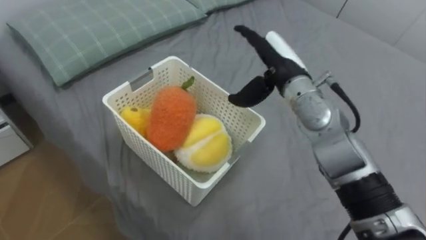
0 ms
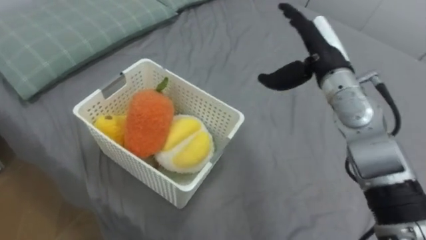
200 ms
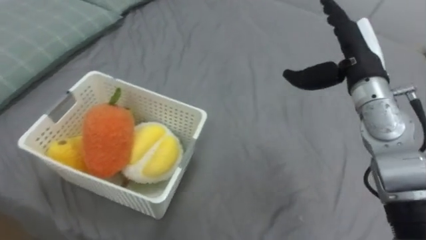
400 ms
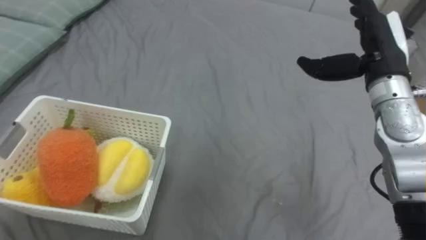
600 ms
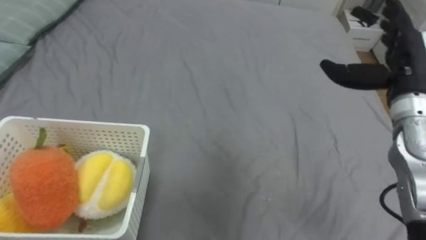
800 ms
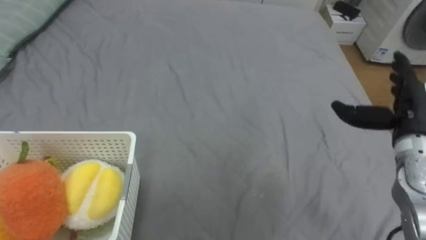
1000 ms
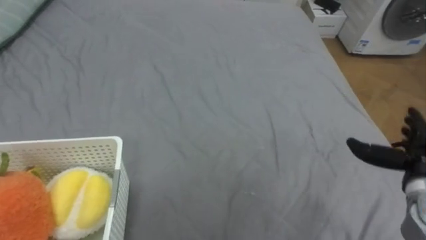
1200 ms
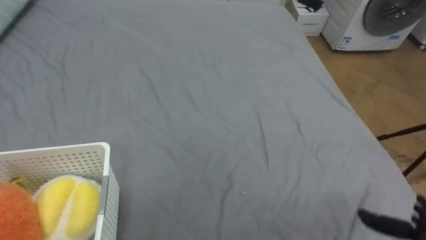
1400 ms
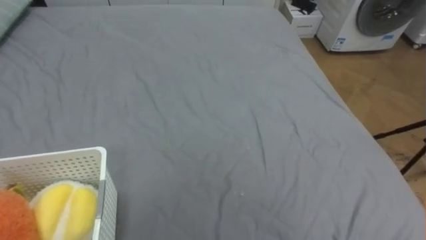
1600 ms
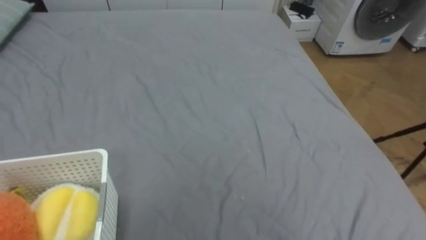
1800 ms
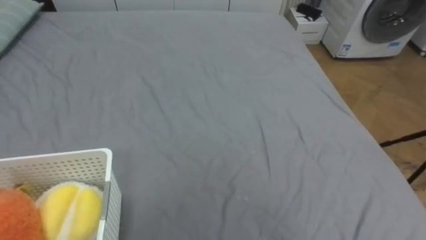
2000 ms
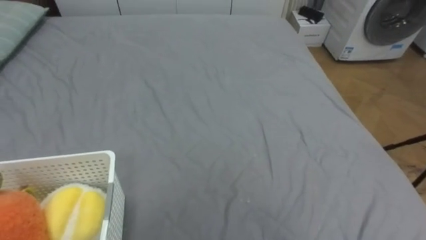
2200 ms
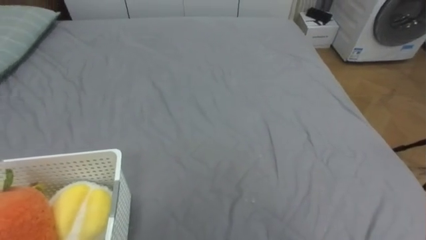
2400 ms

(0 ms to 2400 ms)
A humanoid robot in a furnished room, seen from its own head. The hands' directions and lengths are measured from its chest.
Task of the whole recording: Put the toys on the bed into the basket on the left.
0 ms - 1200 ms: The right hand shifts about 30 cm to the right, backward and downward.

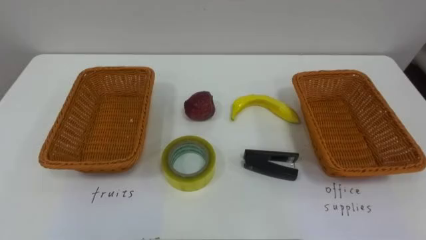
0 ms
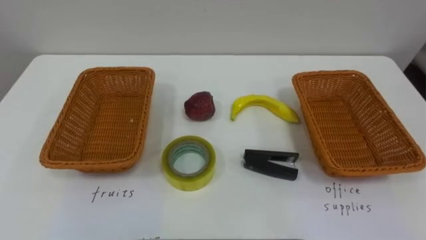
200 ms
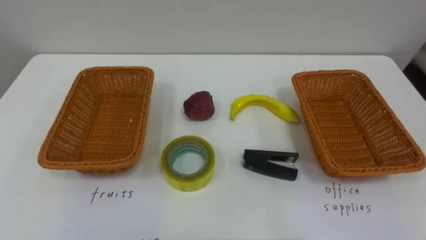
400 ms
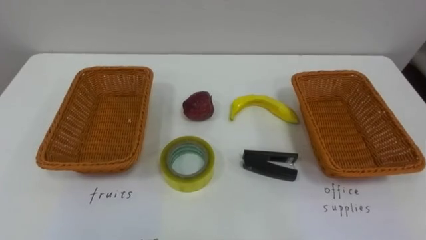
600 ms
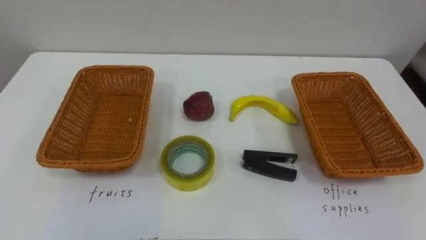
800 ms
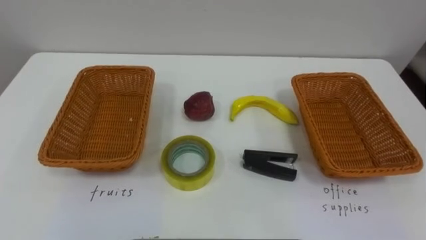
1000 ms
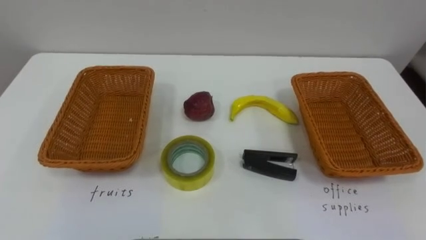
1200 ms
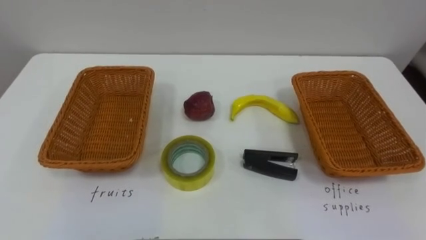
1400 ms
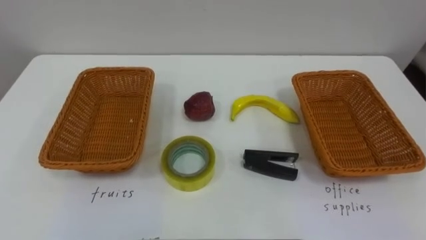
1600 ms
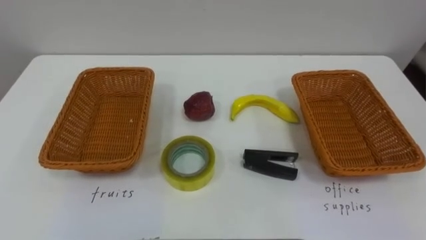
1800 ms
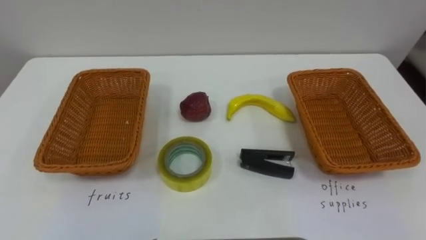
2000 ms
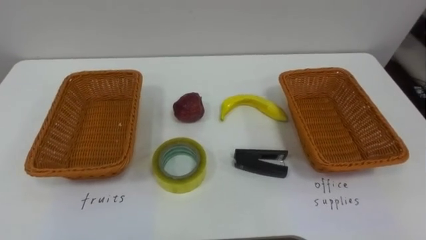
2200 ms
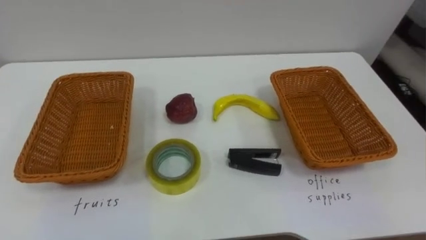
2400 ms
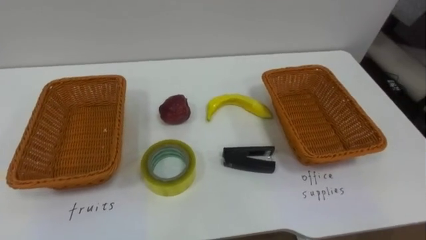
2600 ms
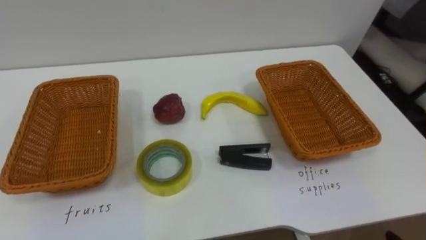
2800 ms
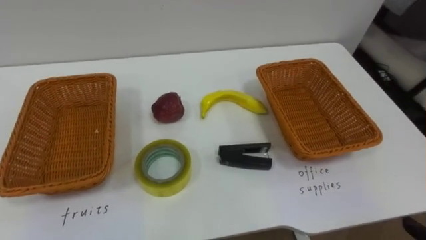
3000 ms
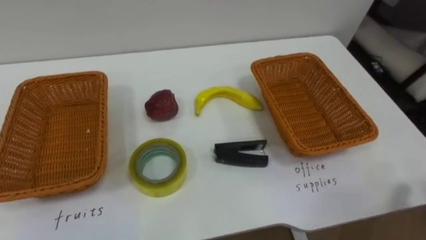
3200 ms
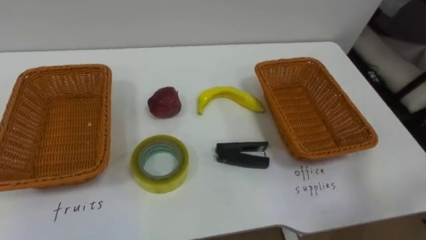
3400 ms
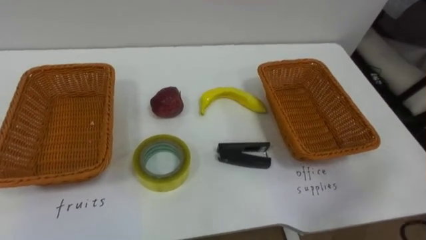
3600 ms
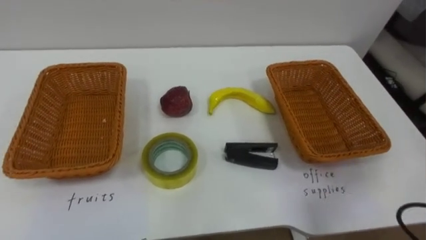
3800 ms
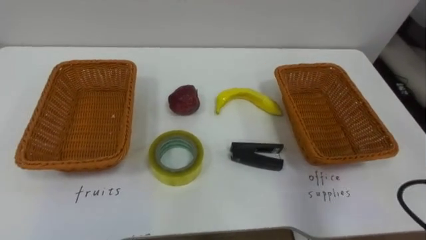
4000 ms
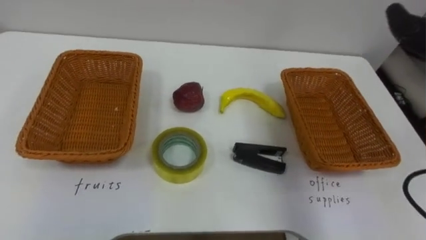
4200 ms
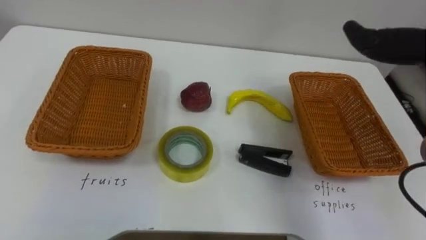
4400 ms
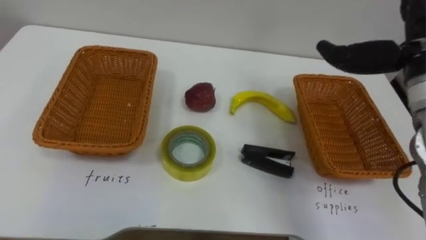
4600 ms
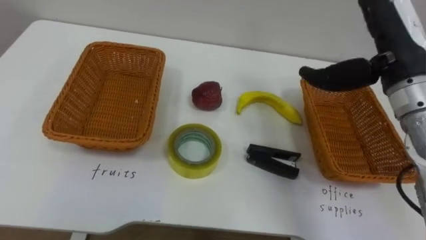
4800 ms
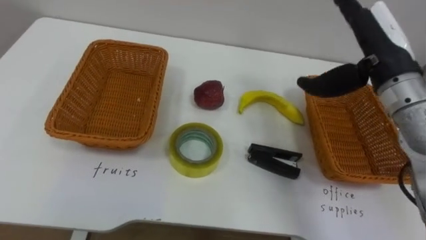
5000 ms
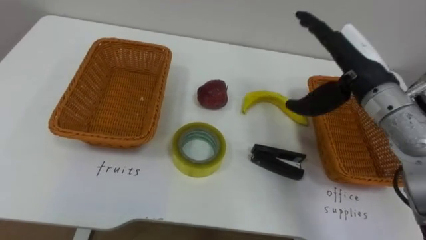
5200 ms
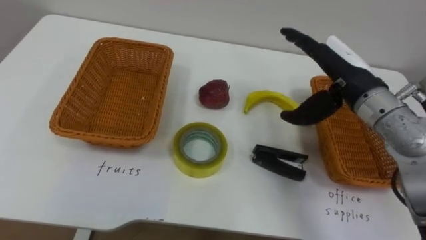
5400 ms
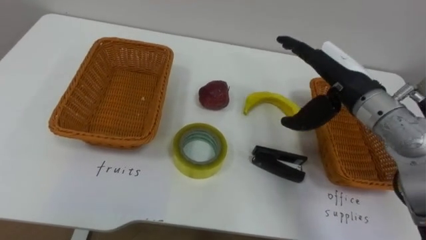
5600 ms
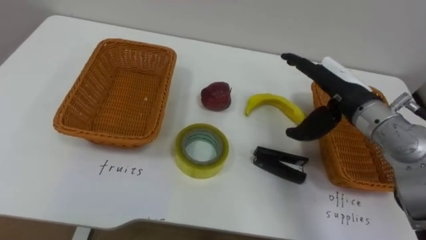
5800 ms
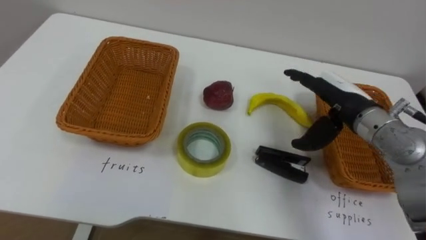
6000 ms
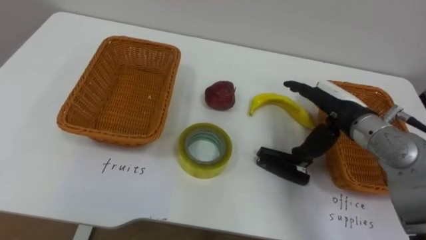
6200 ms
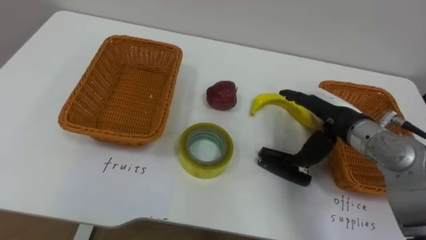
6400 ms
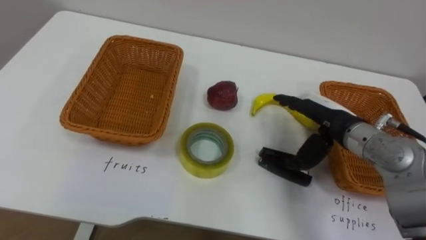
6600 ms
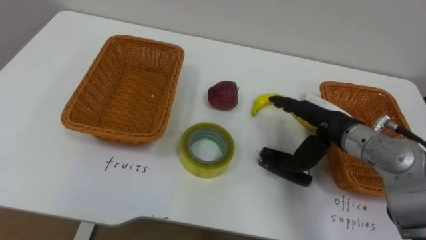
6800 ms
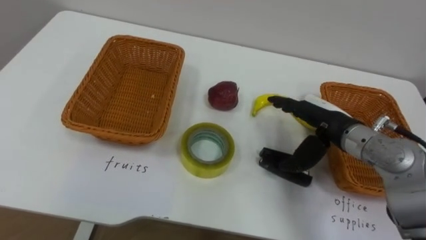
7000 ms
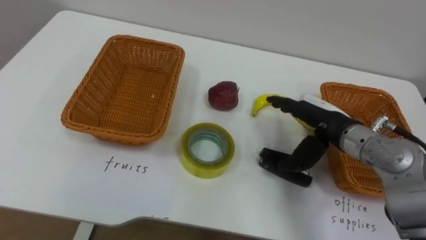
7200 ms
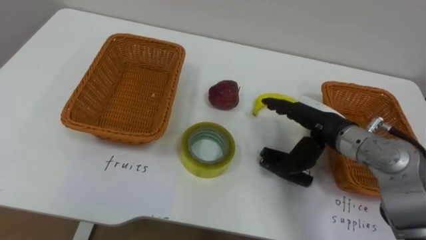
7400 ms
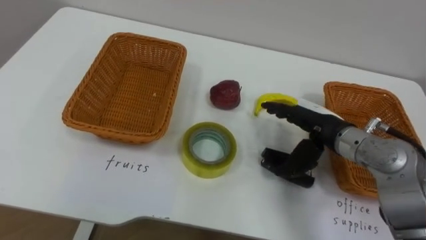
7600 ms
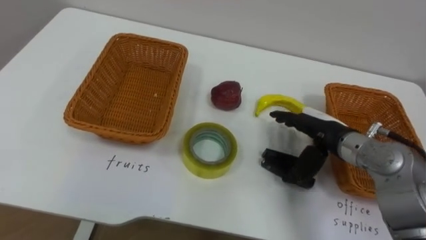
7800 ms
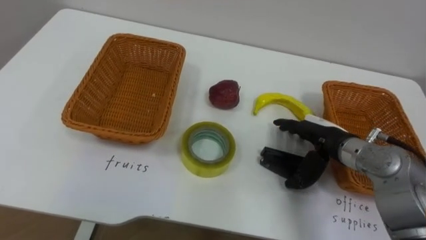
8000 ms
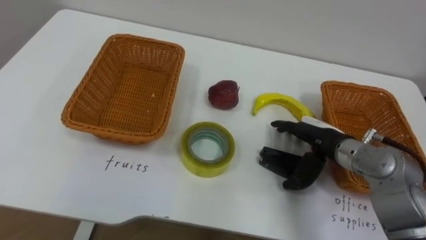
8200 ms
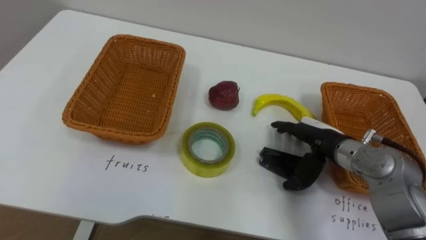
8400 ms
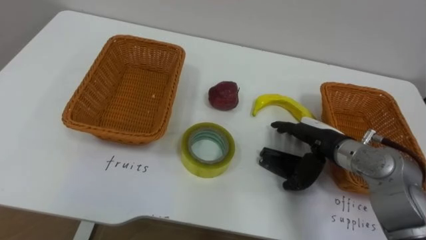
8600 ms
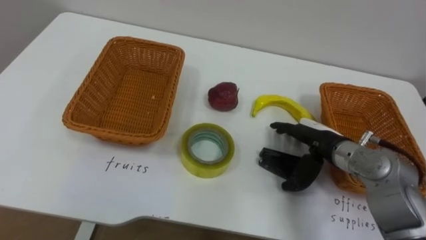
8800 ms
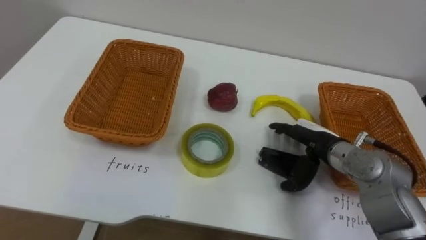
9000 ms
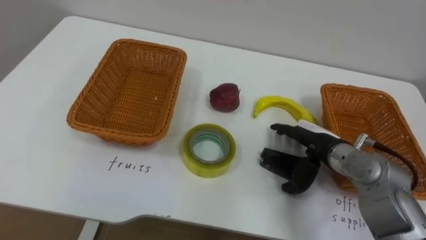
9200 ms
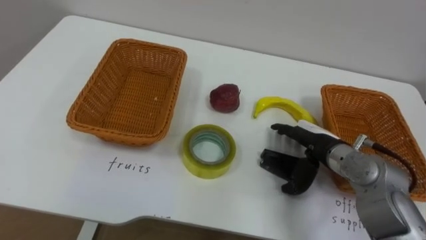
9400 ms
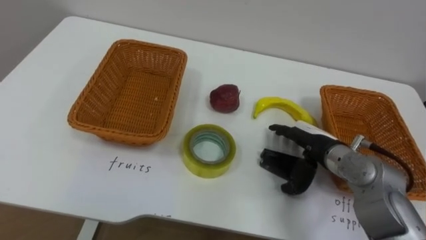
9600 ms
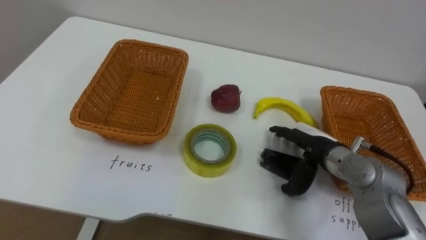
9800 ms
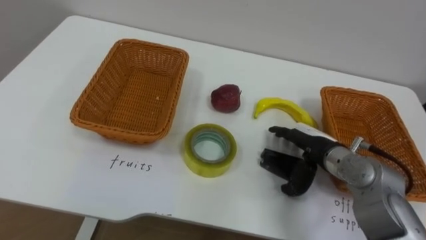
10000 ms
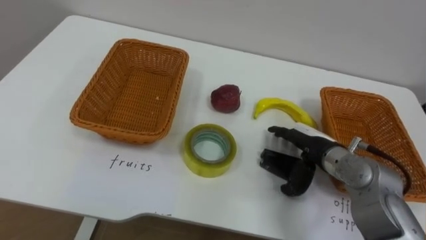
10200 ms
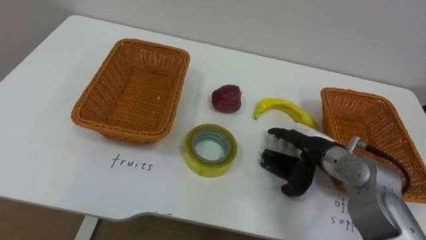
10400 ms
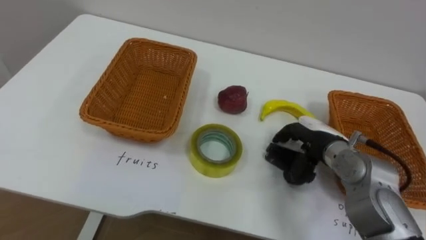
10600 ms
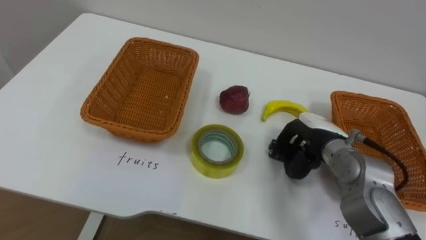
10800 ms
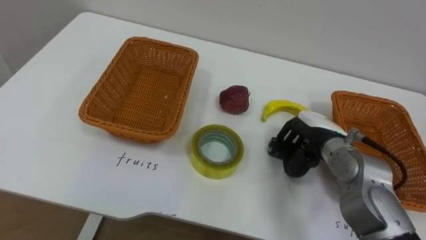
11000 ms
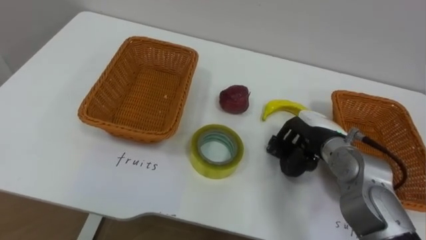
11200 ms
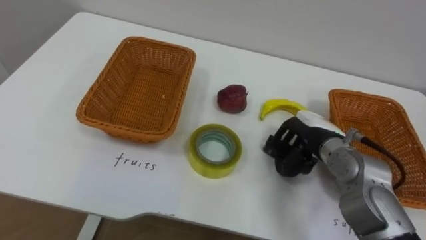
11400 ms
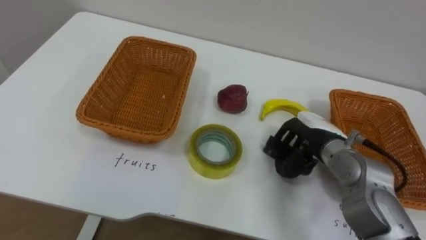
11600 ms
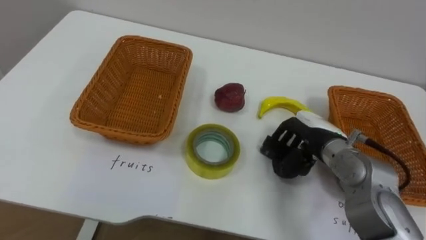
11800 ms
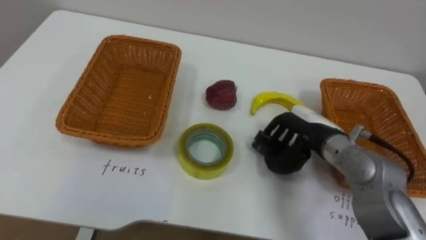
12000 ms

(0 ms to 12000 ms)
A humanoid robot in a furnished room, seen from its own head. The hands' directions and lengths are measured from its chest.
Task of the whole recording: Separate the items on the table and place them into the two baskets.
6000 ms - 7600 ms: The right hand ends up roughly 5 cm from where it was.
10400 ms - 12000 ms: The right hand closes its fingers.

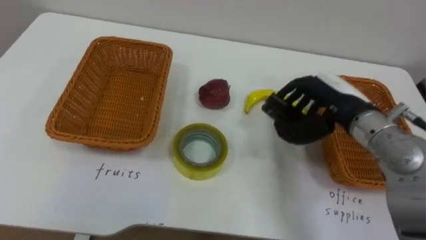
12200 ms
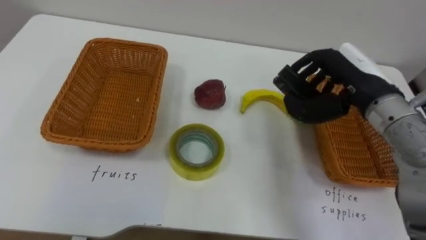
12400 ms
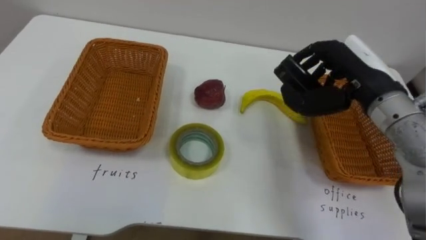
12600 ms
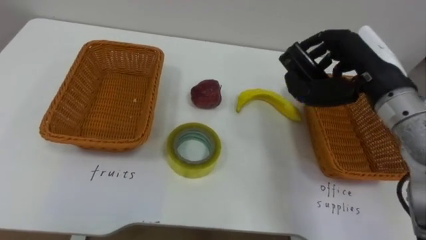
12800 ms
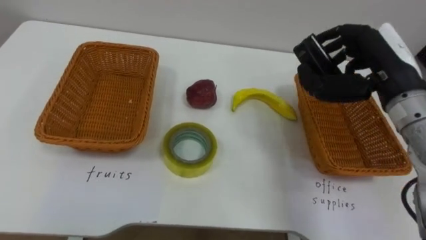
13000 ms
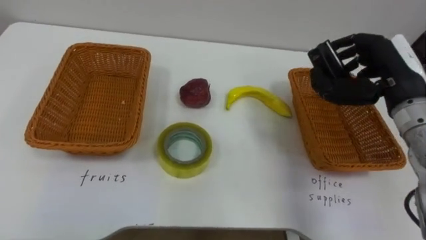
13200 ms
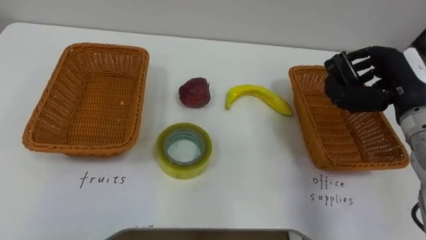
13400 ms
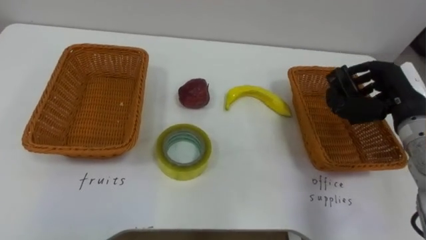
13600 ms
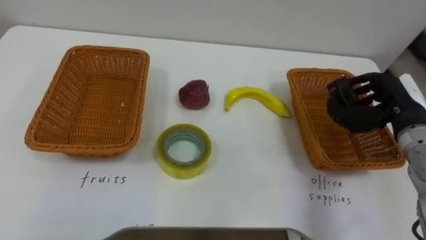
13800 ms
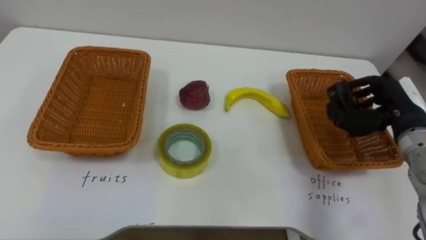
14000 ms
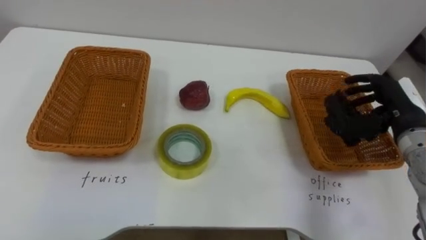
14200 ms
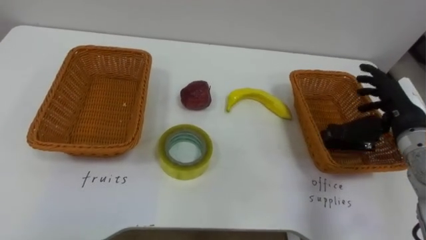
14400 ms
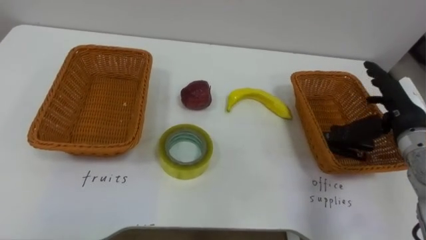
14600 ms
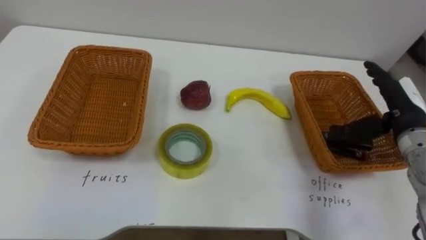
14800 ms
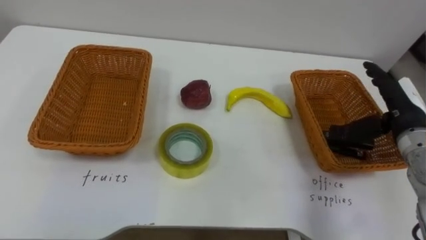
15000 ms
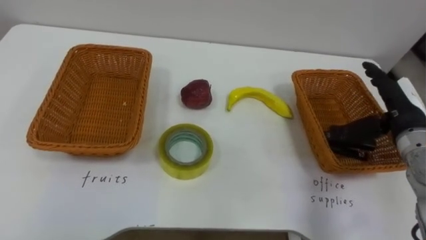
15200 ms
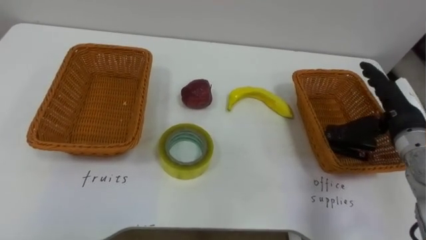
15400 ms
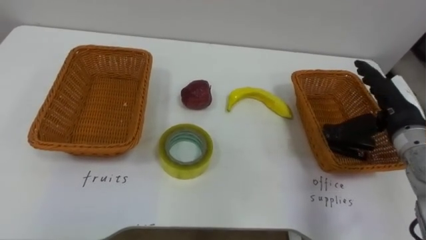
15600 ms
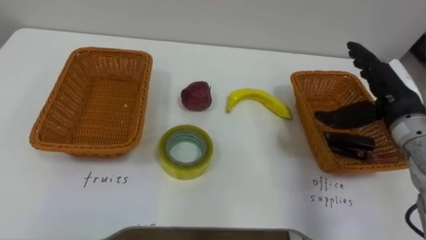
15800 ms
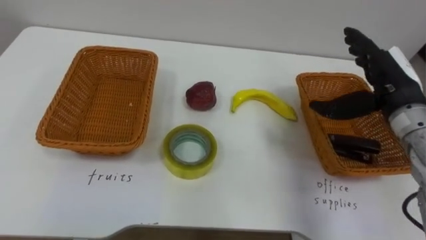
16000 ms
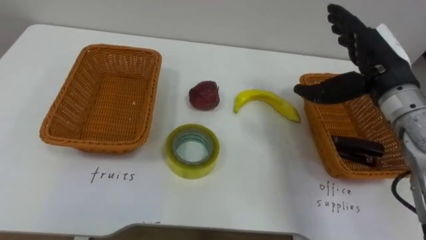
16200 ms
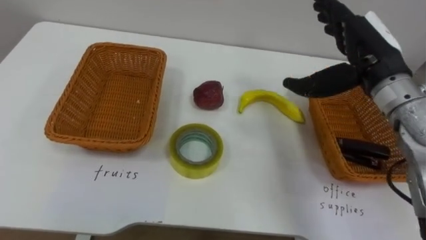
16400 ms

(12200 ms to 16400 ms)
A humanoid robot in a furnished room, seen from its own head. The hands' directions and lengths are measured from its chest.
Task of the whole recording: Separate the items on the table and place them into the two baskets.
12200 ms - 13600 ms: The right hand moves to the right, some 10 cm.
13600 ms - 15000 ms: The right hand opens its fingers.
15000 ms - 16400 ms: The right hand shifts about 15 cm upward and to the left.
